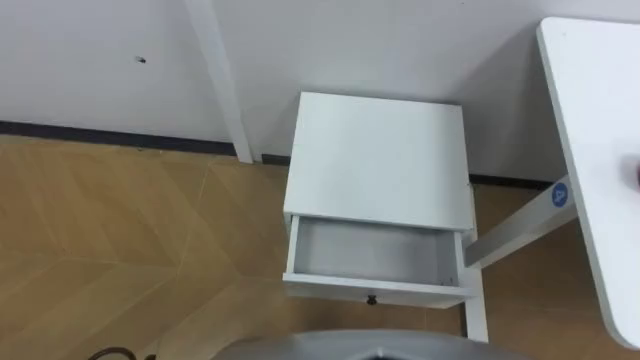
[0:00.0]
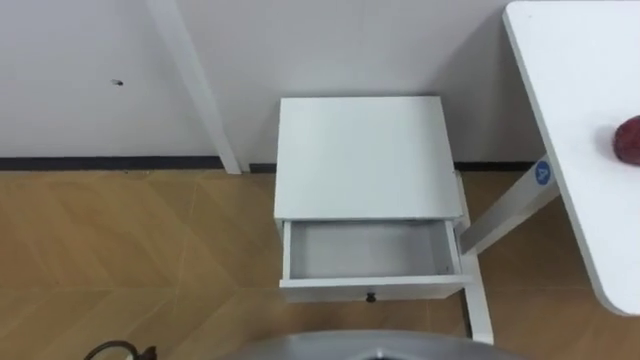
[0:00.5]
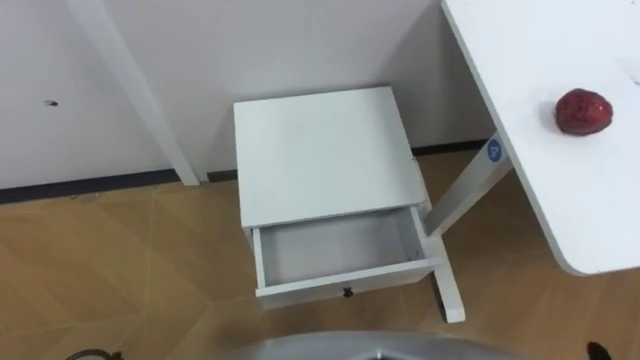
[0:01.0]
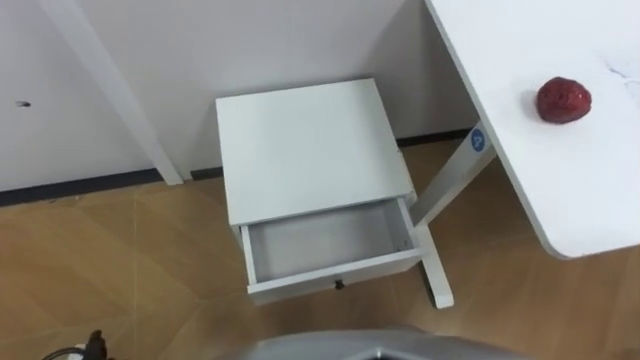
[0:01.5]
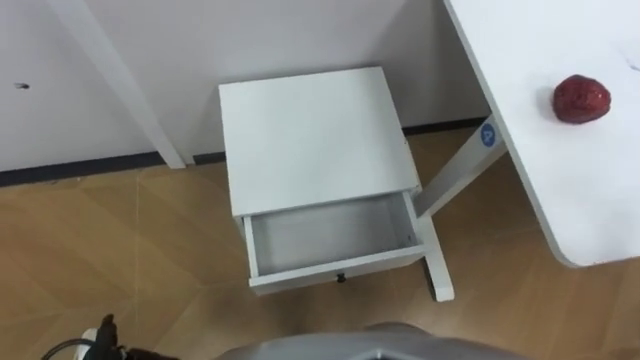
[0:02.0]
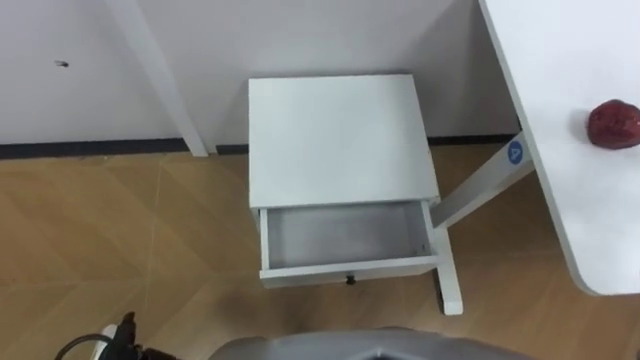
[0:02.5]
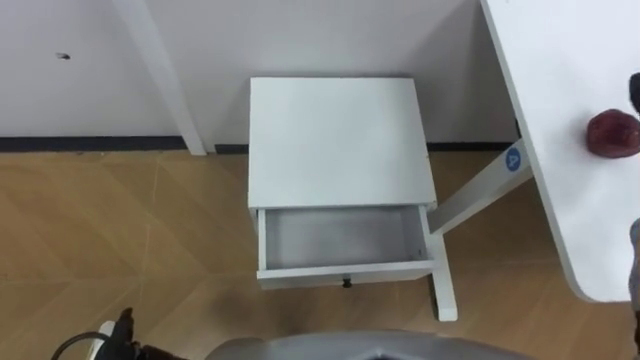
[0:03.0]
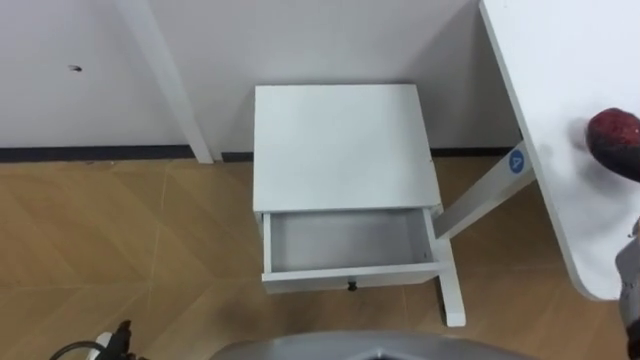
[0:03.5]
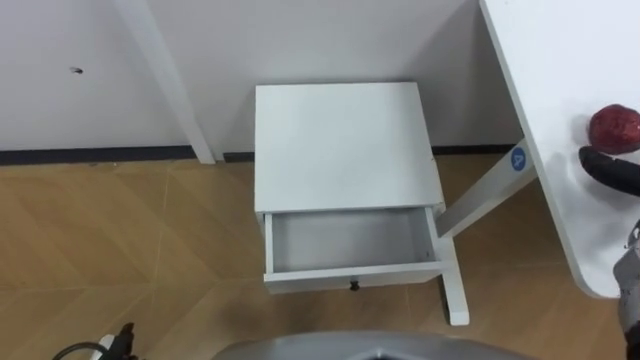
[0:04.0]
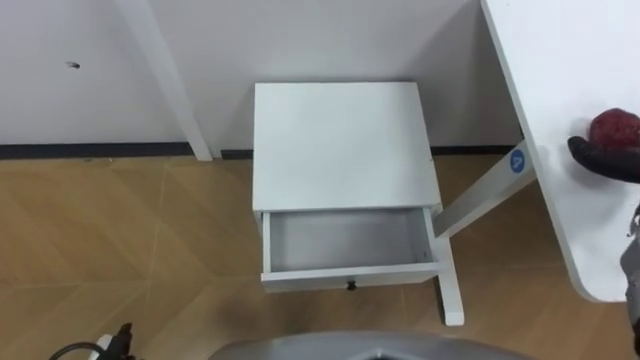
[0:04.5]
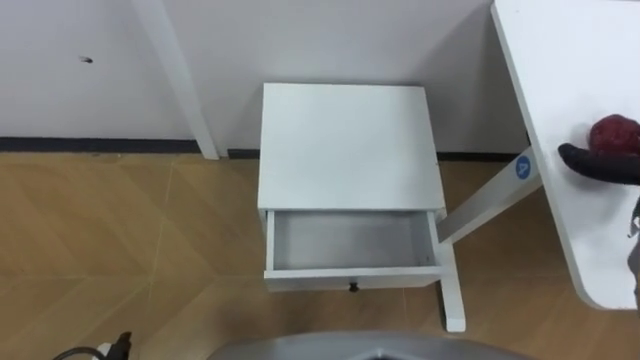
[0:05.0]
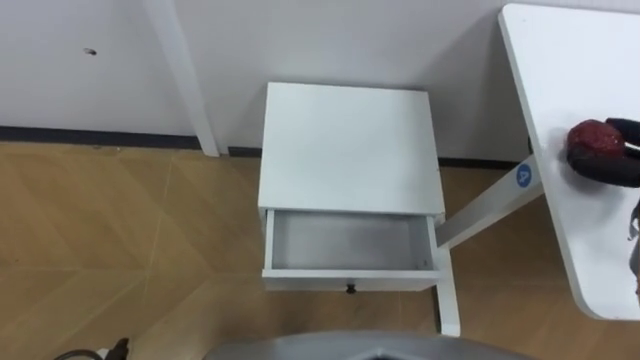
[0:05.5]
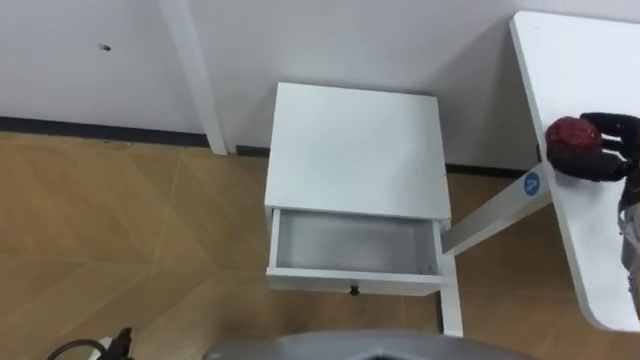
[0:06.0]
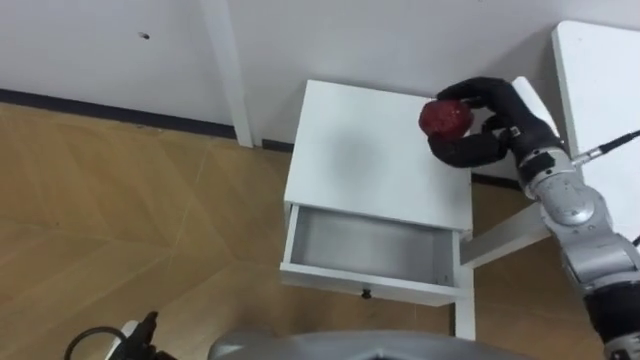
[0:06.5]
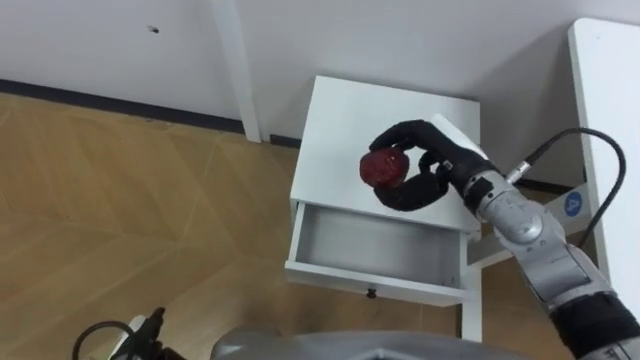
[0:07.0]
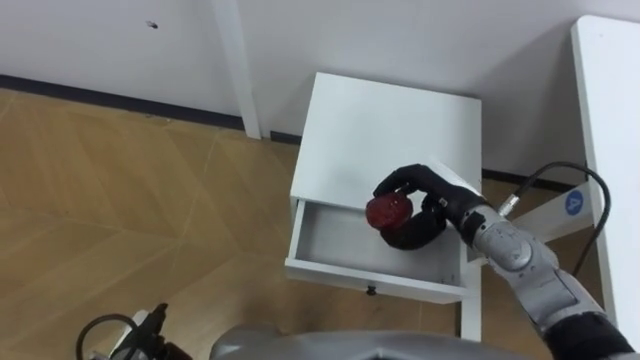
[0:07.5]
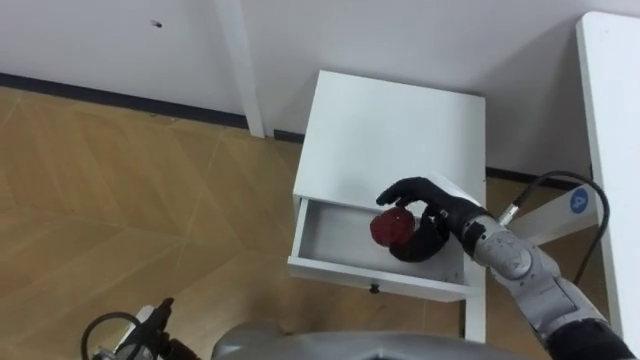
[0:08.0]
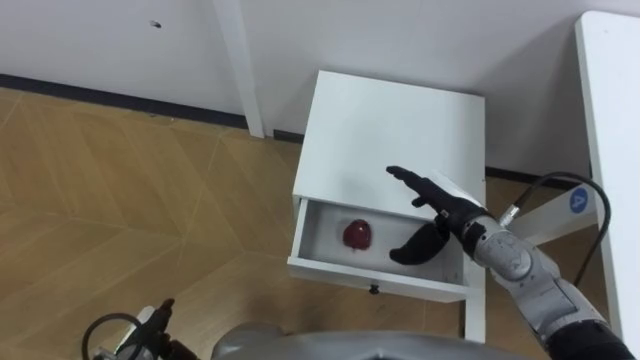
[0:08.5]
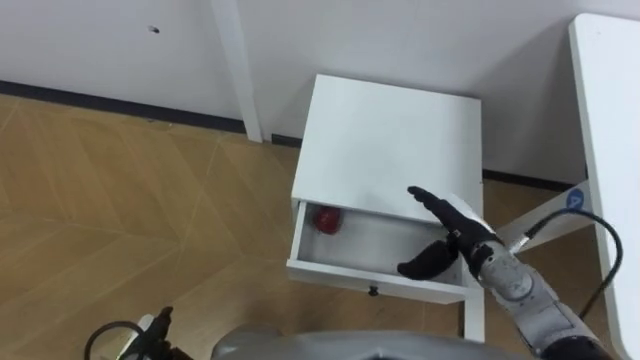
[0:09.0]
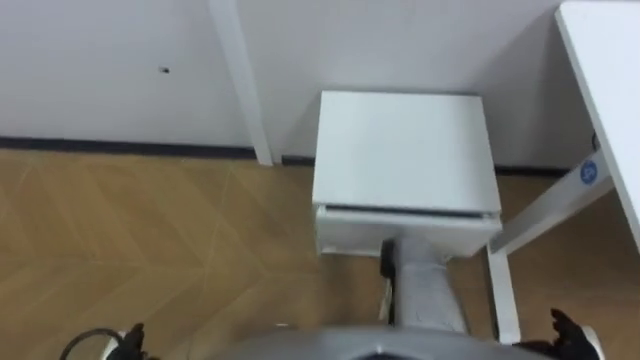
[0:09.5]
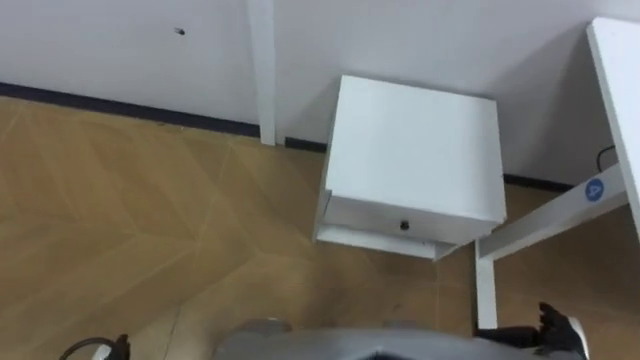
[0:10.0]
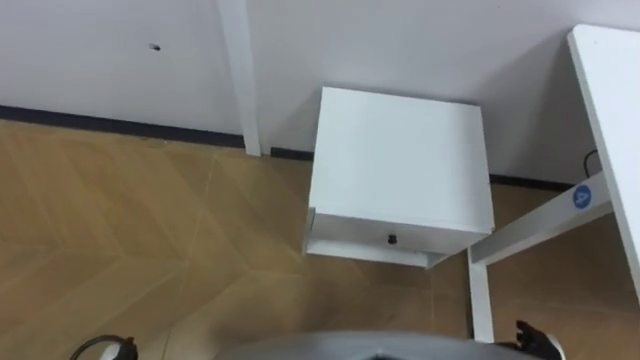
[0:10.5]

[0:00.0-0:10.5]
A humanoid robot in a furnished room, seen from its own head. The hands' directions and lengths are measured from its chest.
Task of the whole recording: Pick up the apple from the table, put it in the drawer, and close the drawer with leg.
0:06.5 to 0:08.5: The right hand travels downward, to the left and backward by approximately 15 cm, and opens up.
0:08.5 to 0:10.5: The right hand travels backward, to the right and downward by some 25 cm.

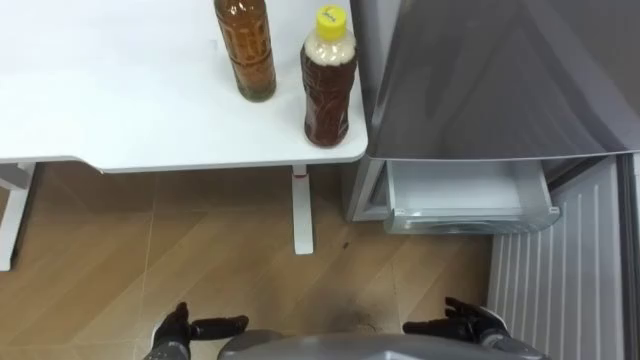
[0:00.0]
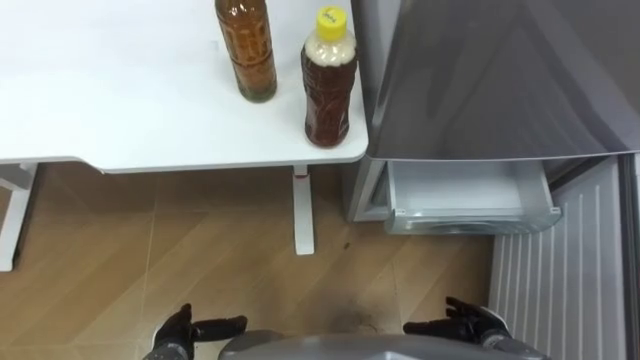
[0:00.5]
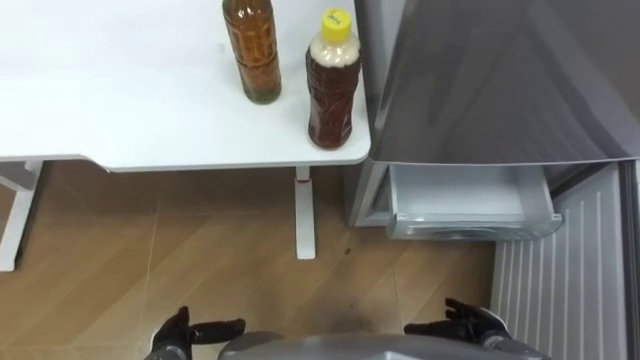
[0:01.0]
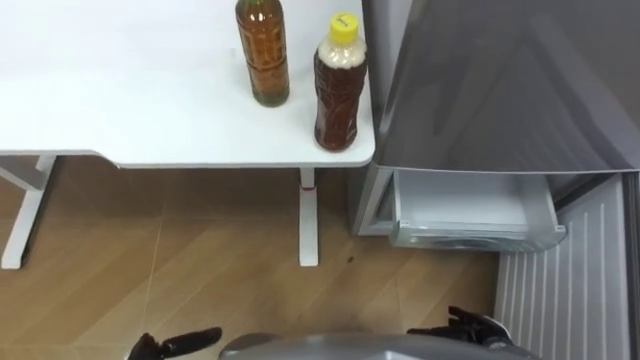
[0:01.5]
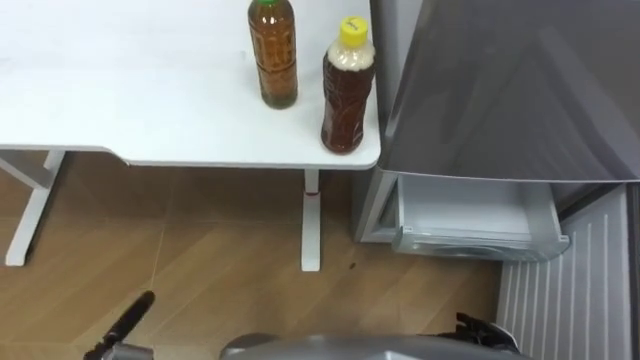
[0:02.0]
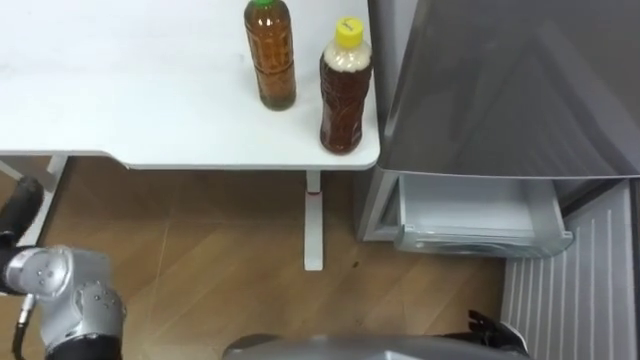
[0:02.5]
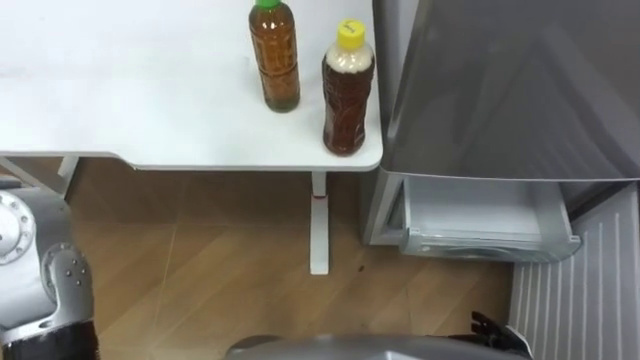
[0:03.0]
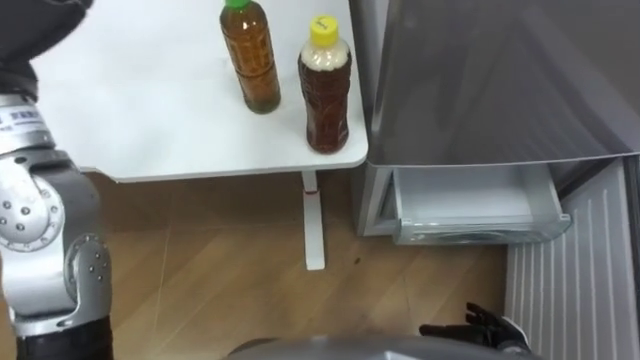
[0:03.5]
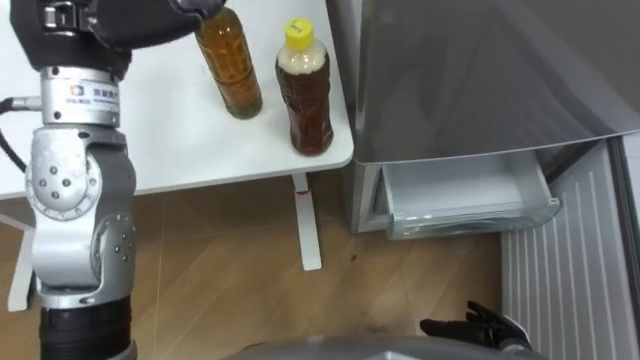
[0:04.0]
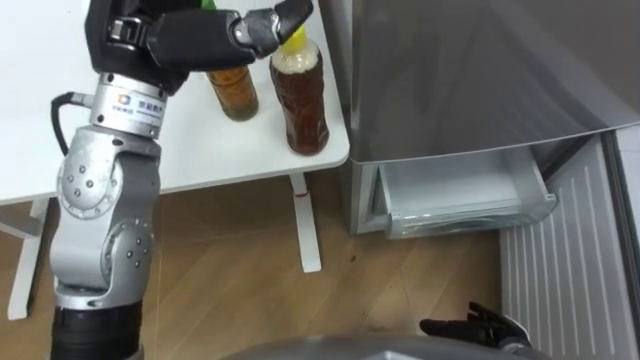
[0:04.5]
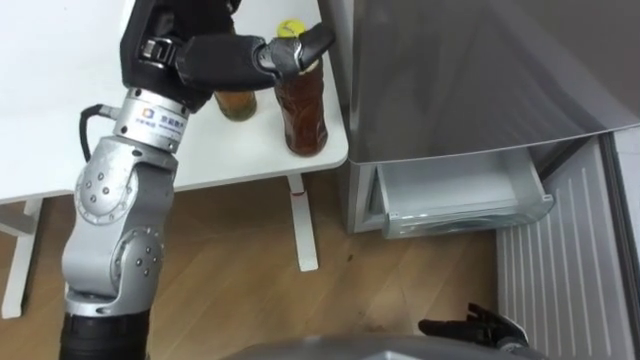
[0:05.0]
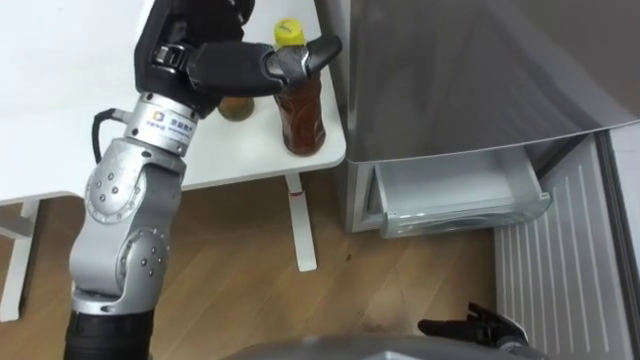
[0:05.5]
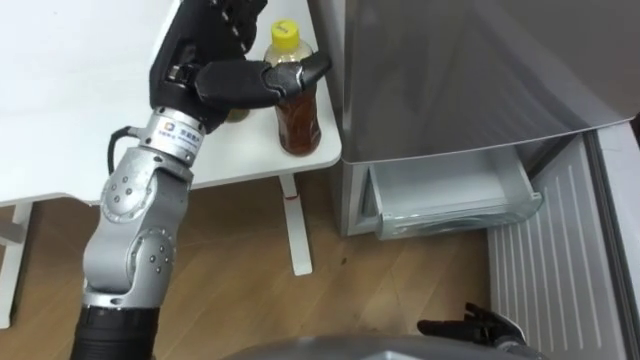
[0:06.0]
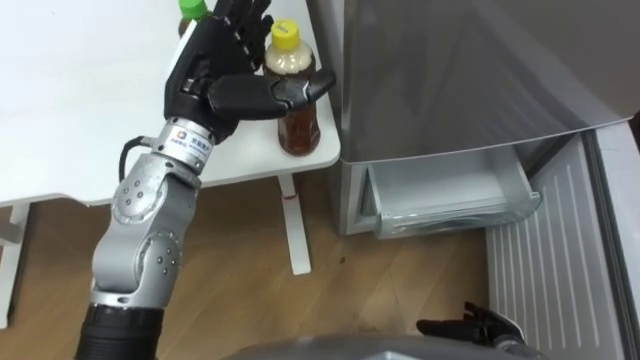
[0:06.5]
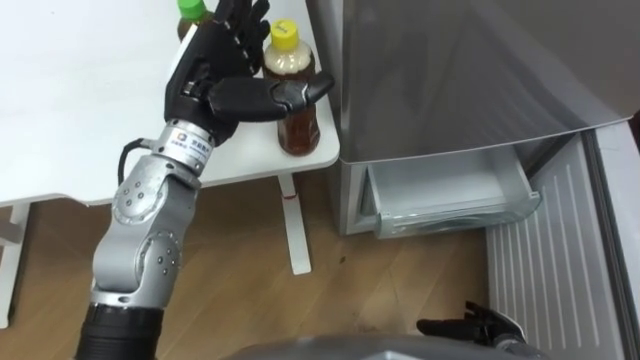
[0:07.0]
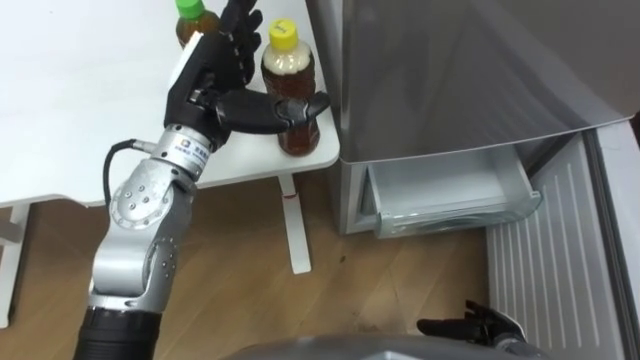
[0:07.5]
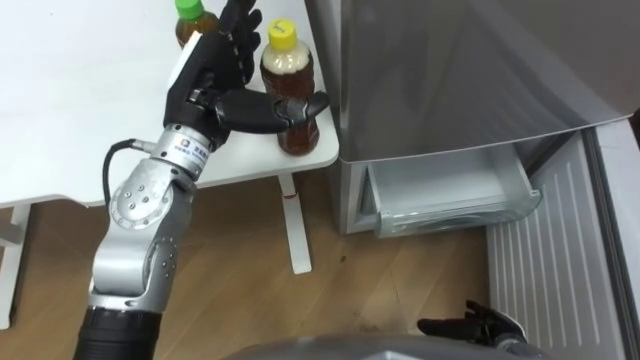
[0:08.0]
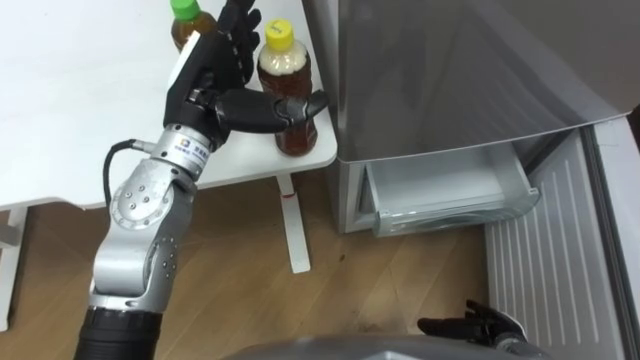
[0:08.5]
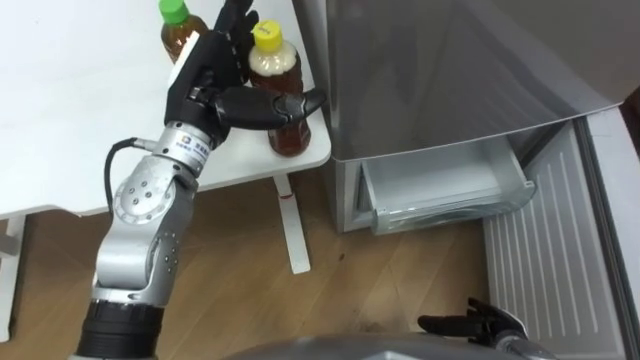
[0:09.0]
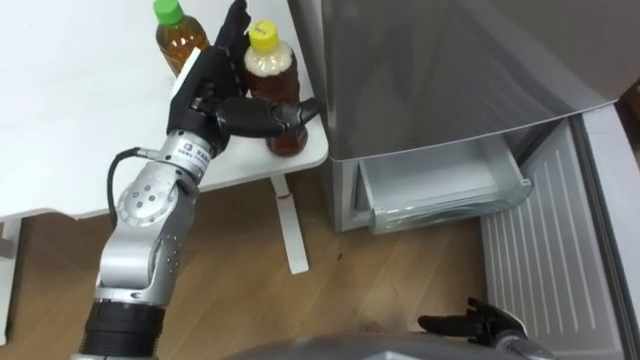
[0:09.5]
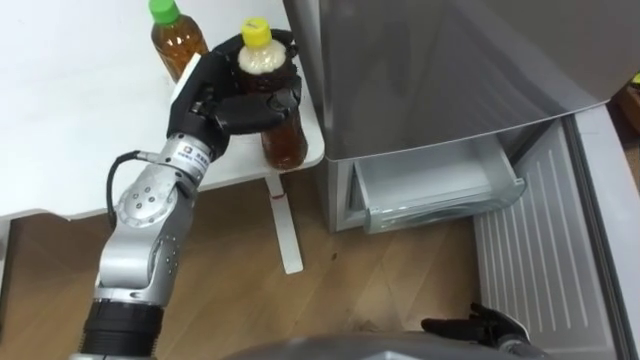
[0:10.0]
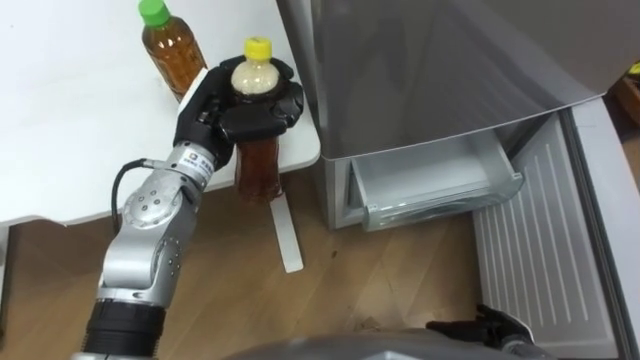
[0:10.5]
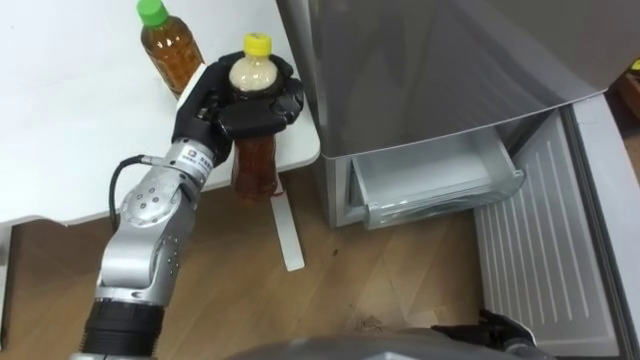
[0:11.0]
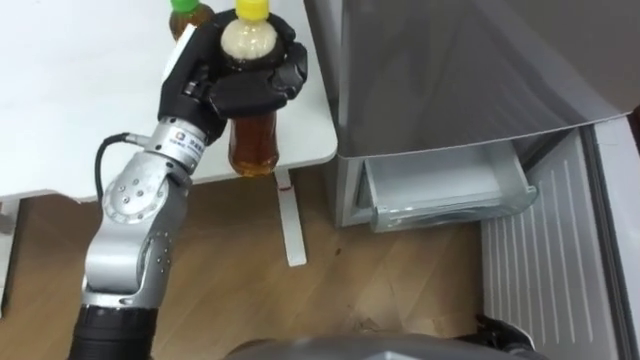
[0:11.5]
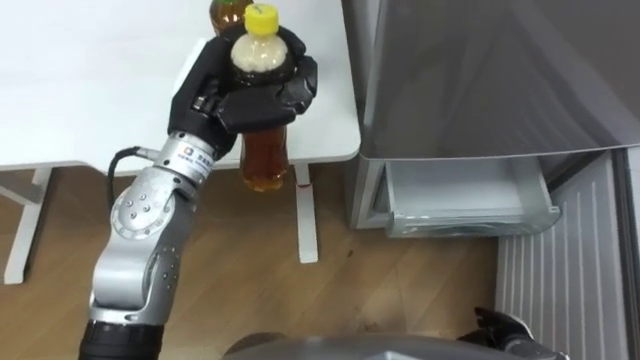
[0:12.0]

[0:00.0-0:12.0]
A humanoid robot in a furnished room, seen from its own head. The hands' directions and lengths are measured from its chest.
Task of the whole recording: Place the drink on the table on the bottom shelf of the refrigerator, then close the drawer and the refrigerator door.
0:04.0 to 0:06.0: The left hand is displaced downward and to the right by roughly 10 cm.
0:06.0 to 0:08.0: There are only small adjustments of the hands.
0:08.0 to 0:10.0: The left hand closes.
